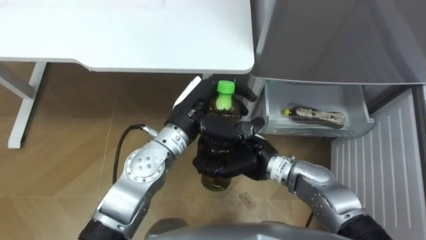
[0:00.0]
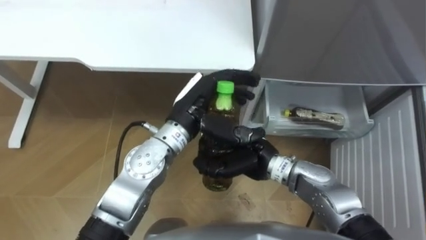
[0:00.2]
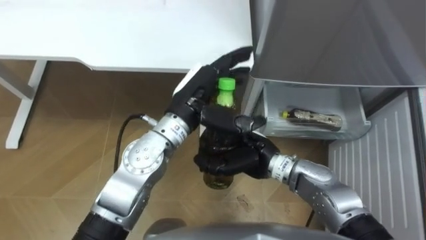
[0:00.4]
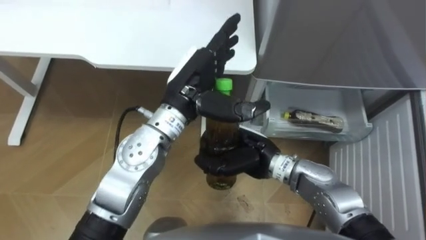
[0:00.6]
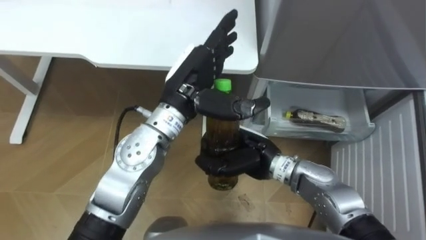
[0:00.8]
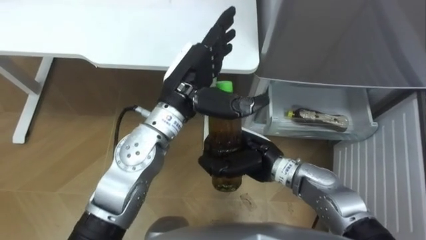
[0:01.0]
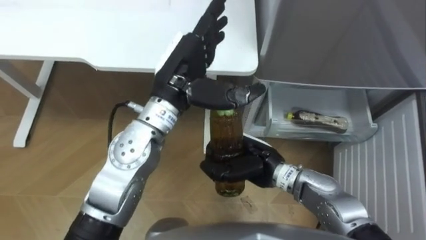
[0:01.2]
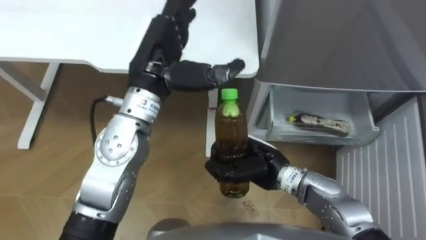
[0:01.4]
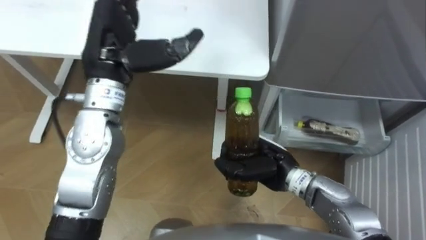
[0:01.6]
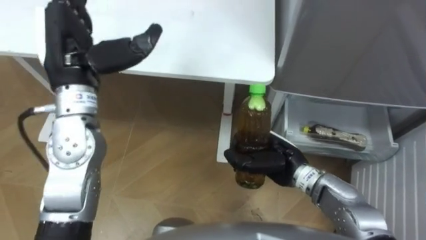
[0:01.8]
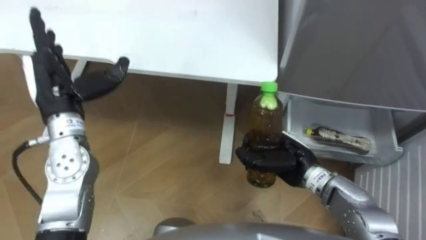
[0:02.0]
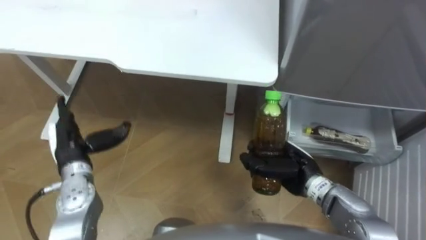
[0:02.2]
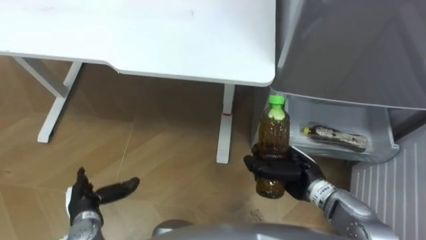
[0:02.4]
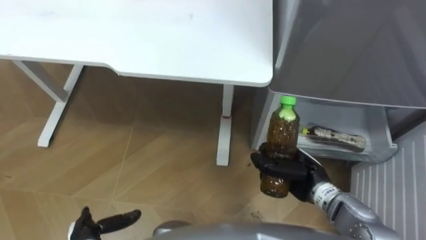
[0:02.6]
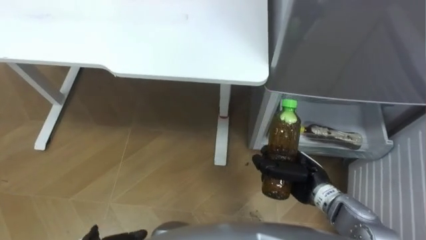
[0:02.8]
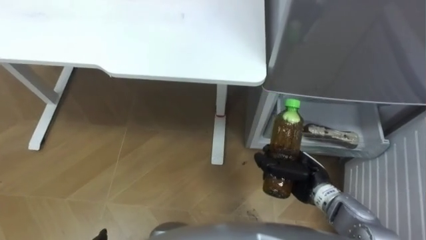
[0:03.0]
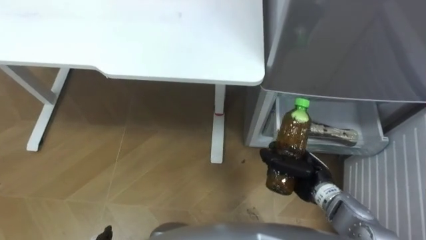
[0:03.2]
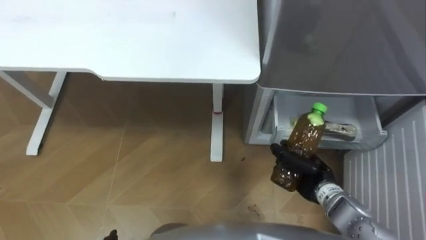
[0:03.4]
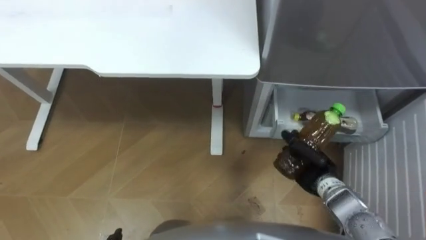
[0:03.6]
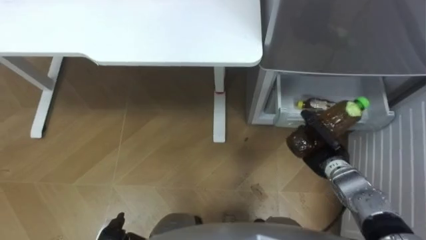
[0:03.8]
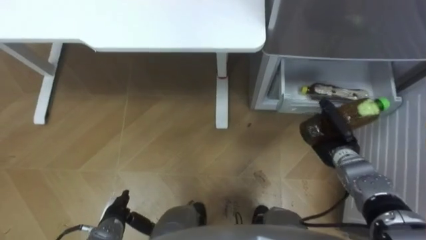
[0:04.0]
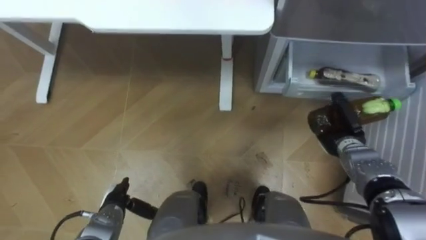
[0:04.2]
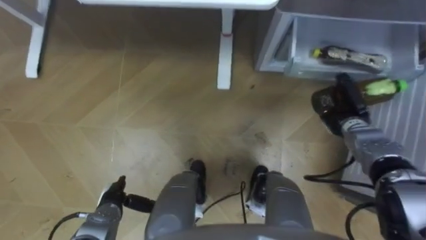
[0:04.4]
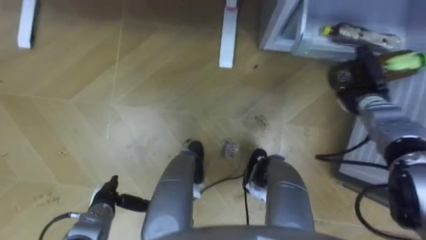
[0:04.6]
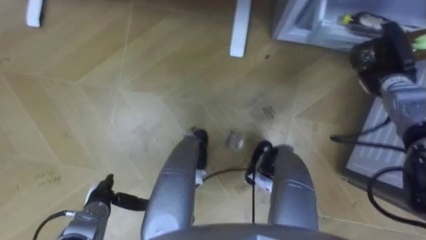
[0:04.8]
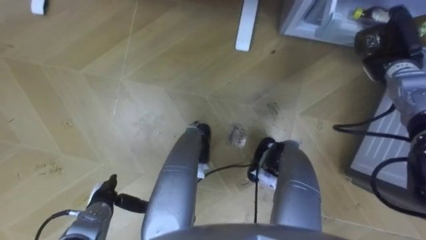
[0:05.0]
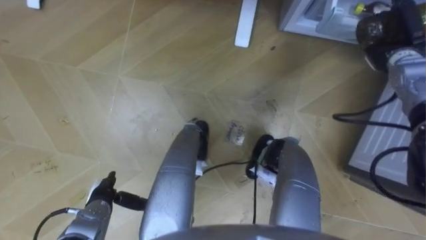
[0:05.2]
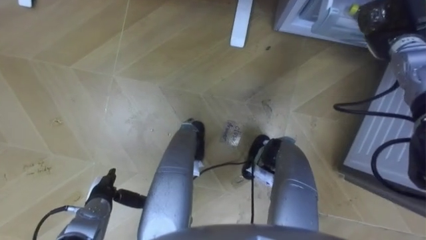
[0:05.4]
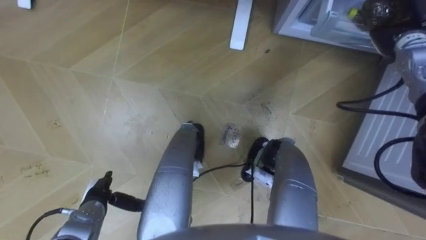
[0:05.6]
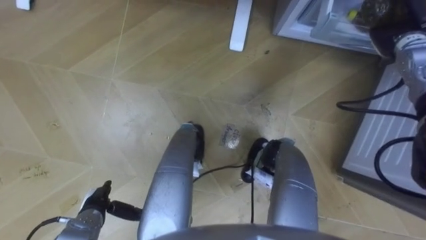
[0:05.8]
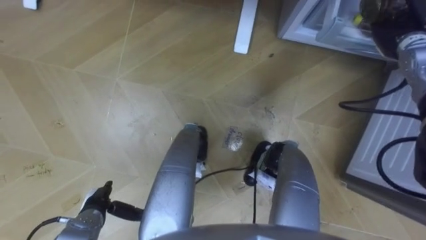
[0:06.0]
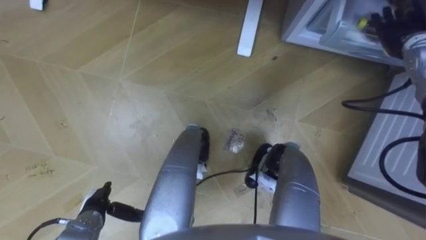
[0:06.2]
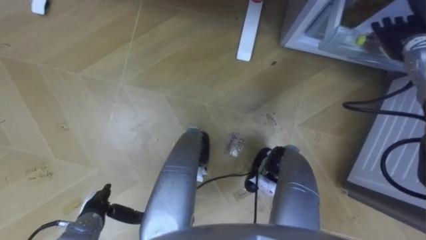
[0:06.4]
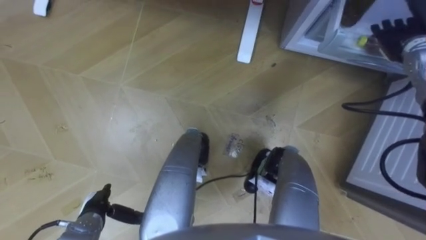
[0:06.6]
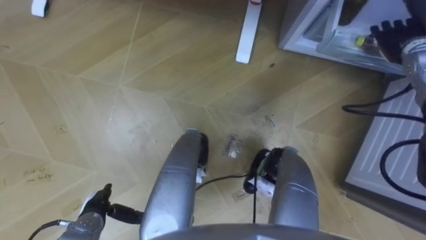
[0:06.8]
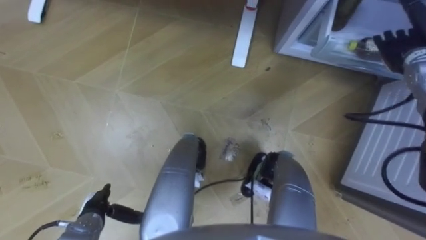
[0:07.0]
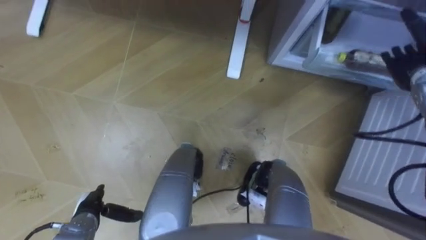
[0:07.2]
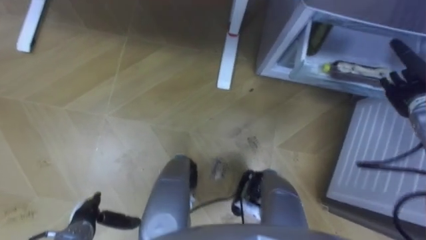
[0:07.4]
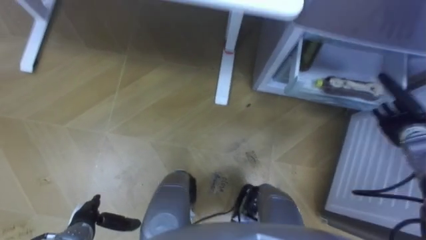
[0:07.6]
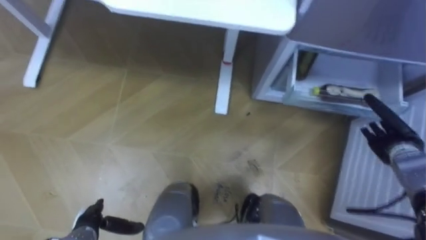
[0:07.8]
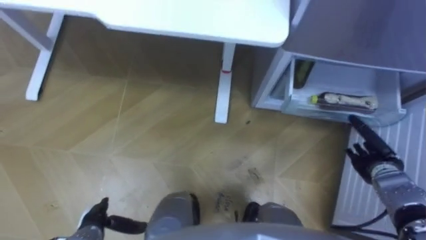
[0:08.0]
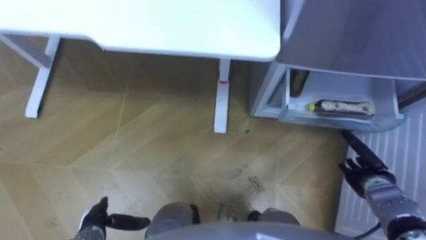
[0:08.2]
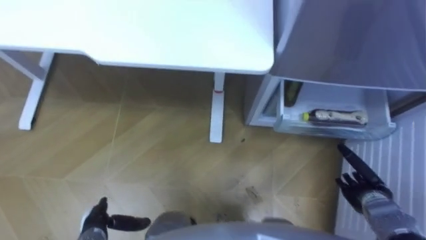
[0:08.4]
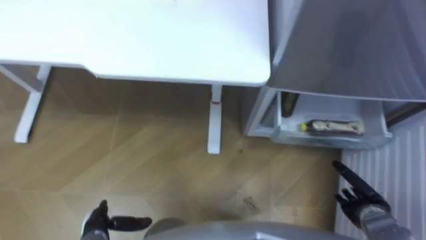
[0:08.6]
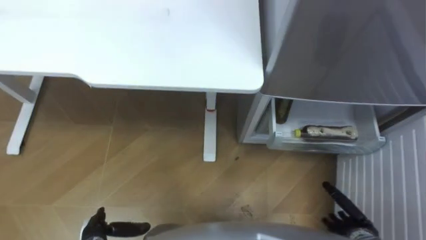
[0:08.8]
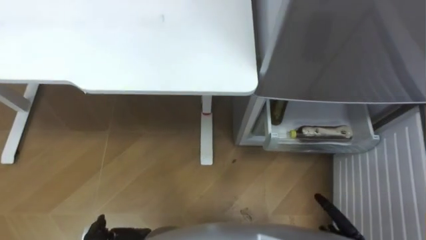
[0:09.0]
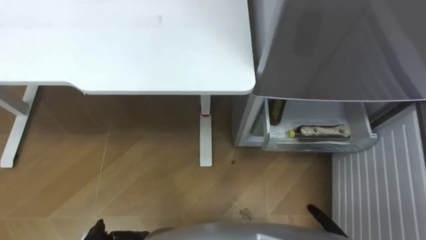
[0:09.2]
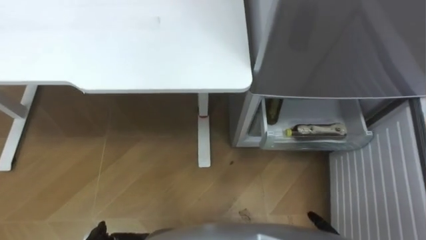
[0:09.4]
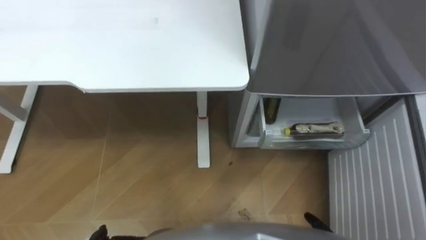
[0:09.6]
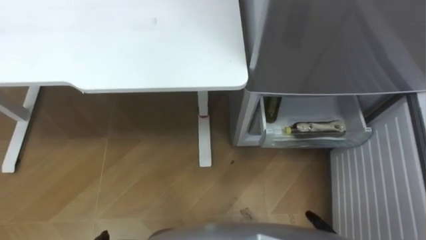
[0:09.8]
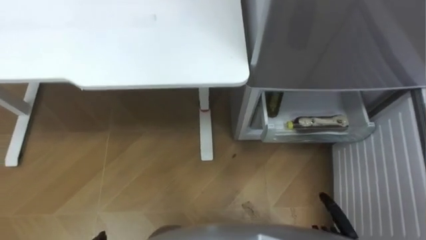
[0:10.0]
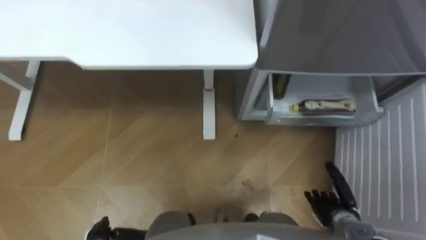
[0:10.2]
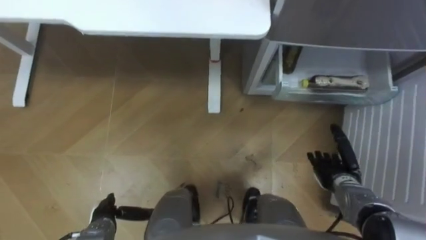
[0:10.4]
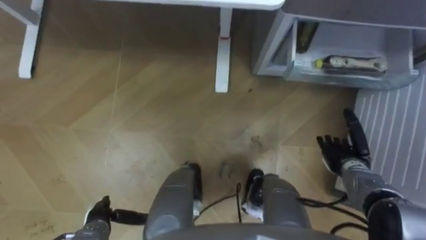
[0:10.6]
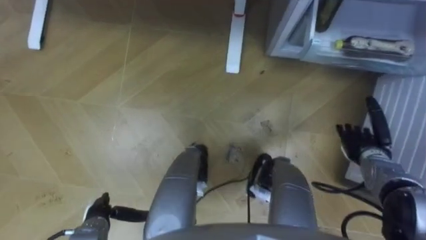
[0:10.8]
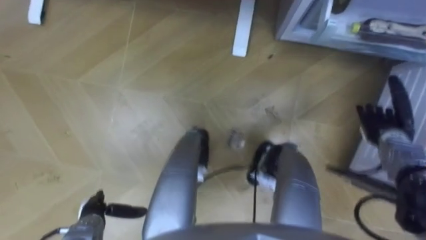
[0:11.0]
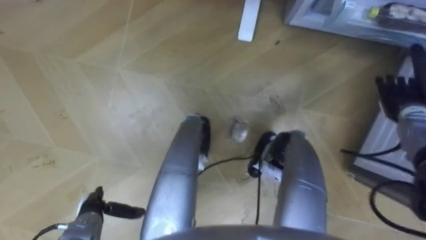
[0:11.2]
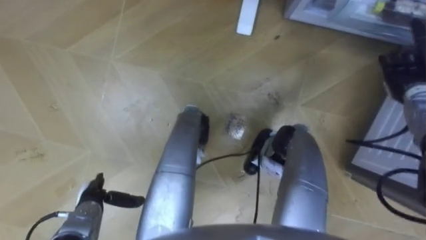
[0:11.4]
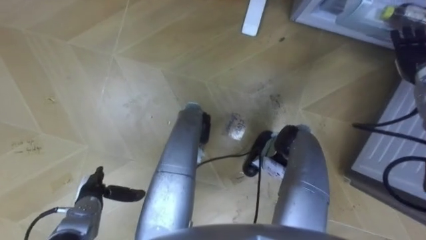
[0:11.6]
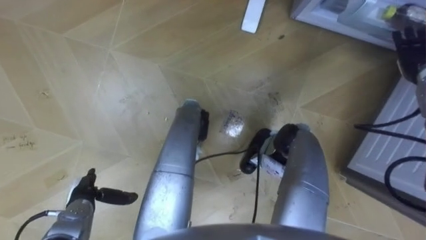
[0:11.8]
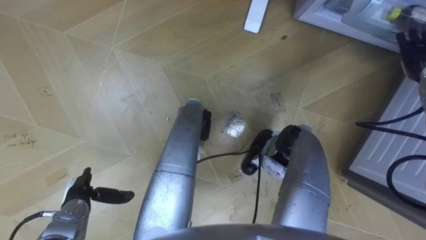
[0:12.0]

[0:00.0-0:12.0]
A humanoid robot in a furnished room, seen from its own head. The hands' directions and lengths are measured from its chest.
Task of the whole recording: Place the drink on the table on the bottom shelf of the refrigerator, then close the drawer and the refrigerator door.
0:00.0 to 0:01.6: The right hand moves approximately 5 cm. Meanwhile the left hand moves upward and to the left, approximately 15 cm, and opens its fingers.
0:01.6 to 0:03.0: The right hand goes roughly 10 cm to the right.
0:03.0 to 0:04.4: The right hand moves forward and to the right, some 15 cm.
0:04.4 to 0:06.0: The right hand is displaced upward, forward and to the right by some 20 cm, and opens up.
0:06.0 to 0:07.6: The right hand goes roughly 15 cm backward and downward.
0:10.4 to 0:12.0: The right hand is displaced upward, forward and to the right by some 30 cm, while the left hand shifts approximately 5 cm to the left.

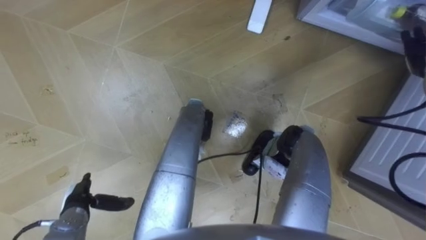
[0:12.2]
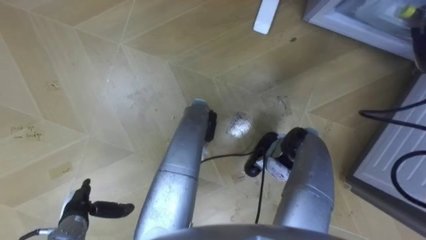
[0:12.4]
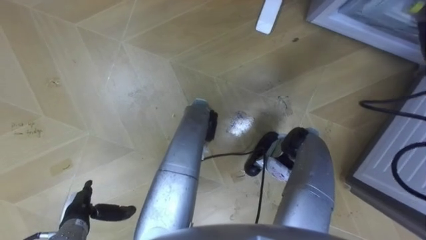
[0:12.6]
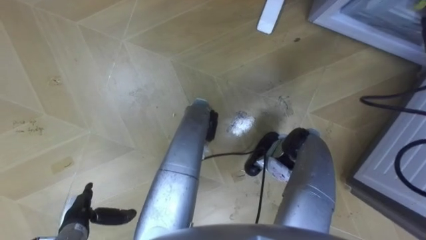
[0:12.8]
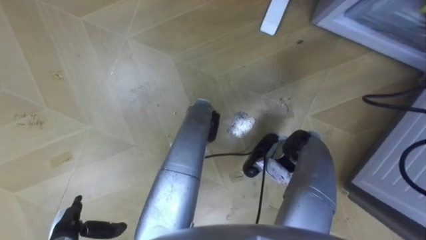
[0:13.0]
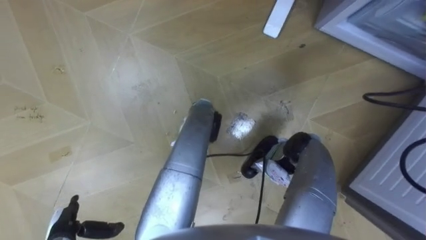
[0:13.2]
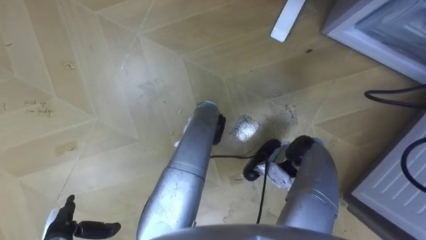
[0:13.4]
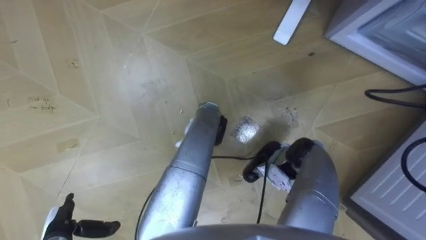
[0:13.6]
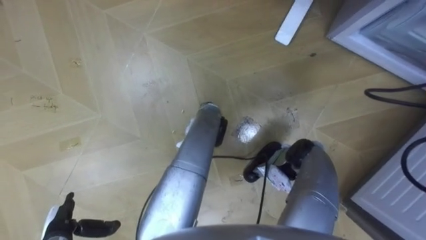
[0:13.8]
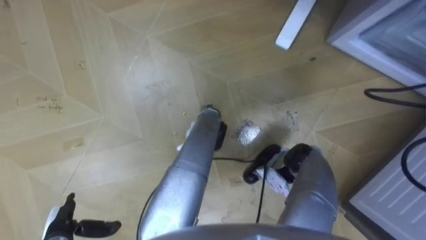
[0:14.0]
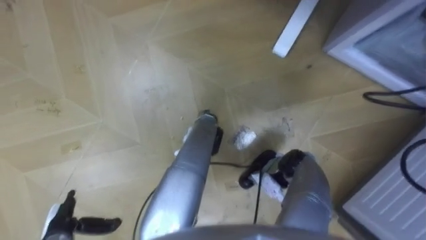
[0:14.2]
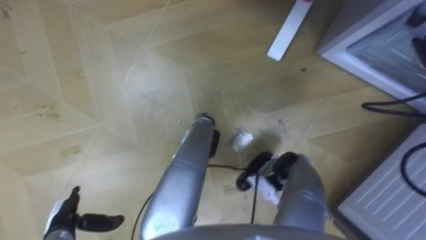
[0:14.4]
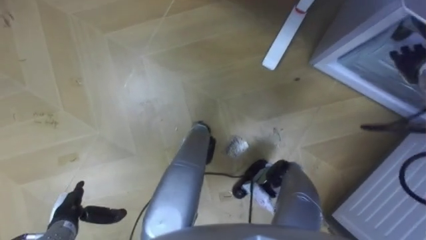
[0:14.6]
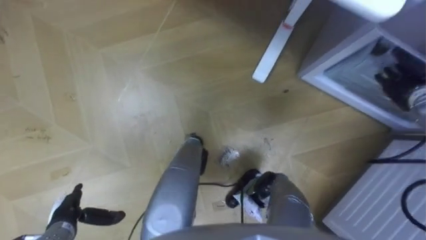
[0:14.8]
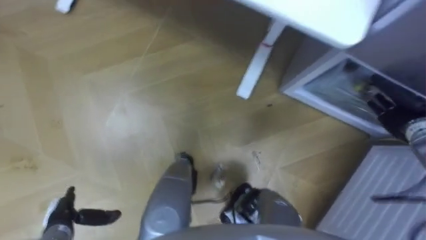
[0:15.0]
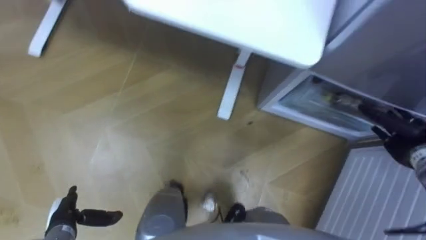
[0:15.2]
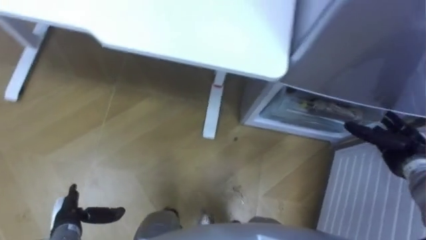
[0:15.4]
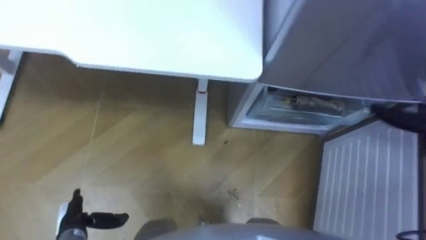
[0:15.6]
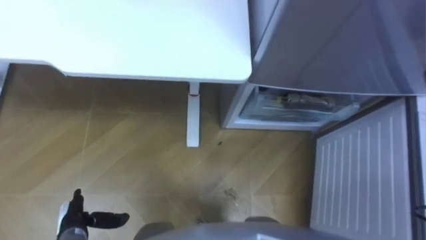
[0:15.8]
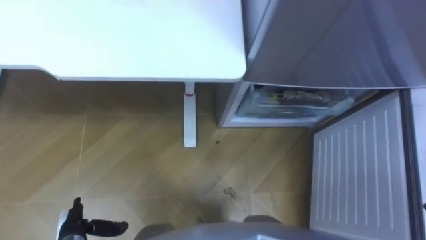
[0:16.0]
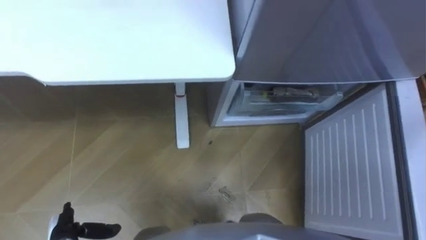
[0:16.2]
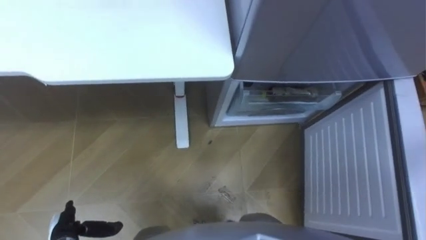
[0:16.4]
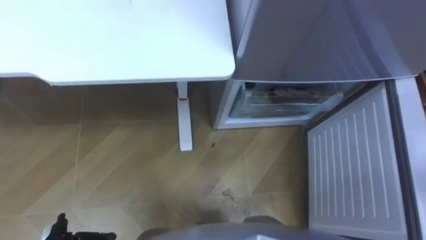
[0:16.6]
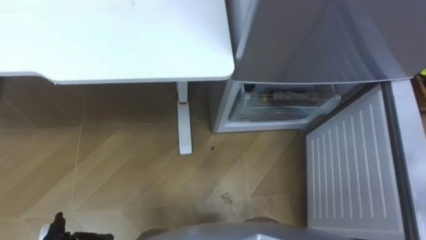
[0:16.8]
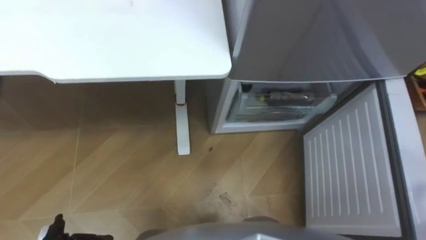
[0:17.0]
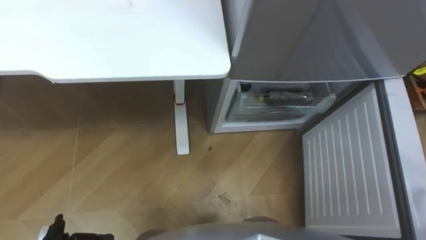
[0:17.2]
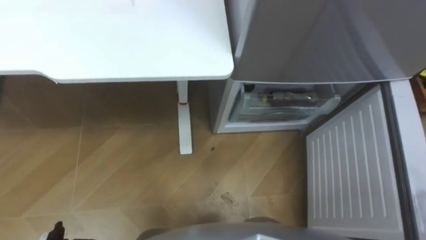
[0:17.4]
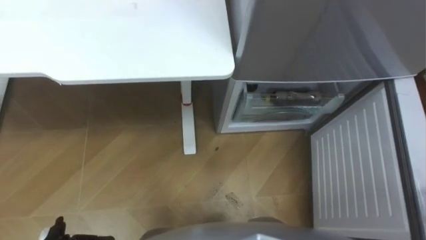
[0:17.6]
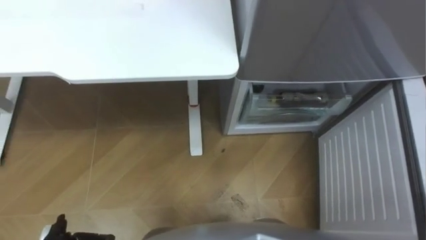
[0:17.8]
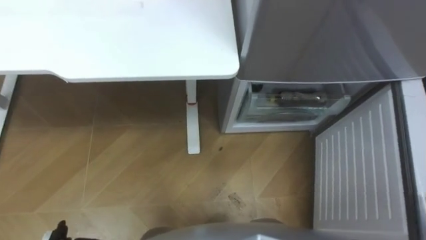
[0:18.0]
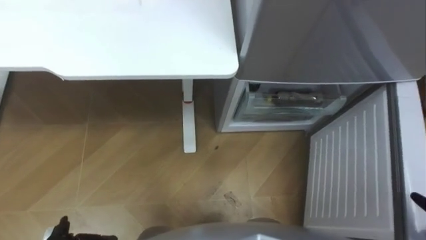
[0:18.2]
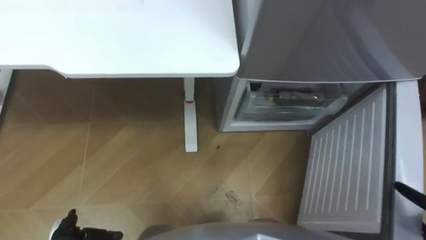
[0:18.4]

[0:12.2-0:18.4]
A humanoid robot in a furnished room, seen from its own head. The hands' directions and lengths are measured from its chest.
Task of the whole recording: Place the drink on the table on the bottom shelf of the refrigerator, then close the drawer and the refrigerator door.
0:12.2 to 0:13.8: The left hand moves backward, some 5 cm.
